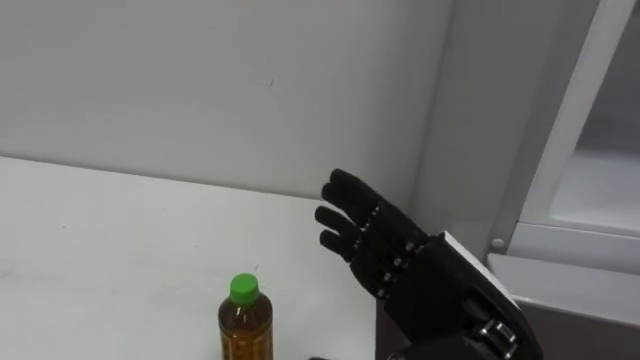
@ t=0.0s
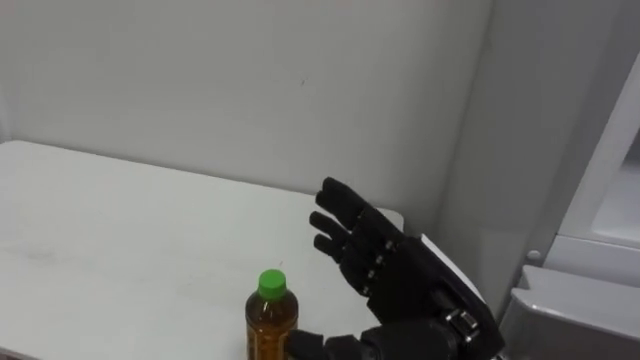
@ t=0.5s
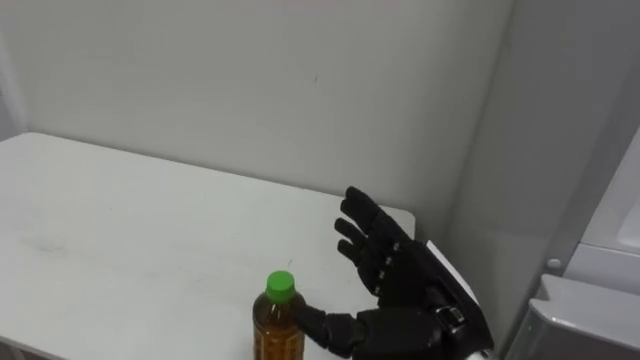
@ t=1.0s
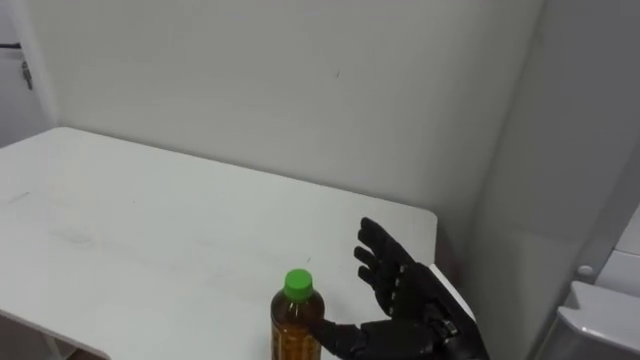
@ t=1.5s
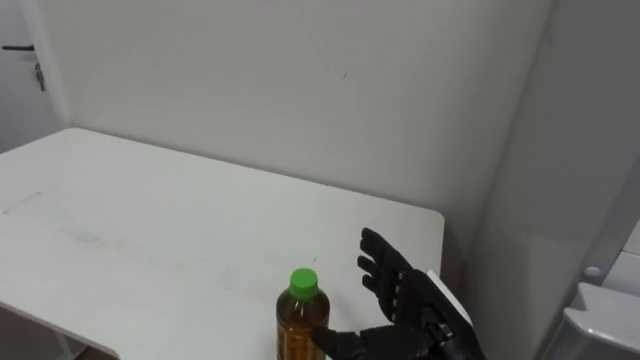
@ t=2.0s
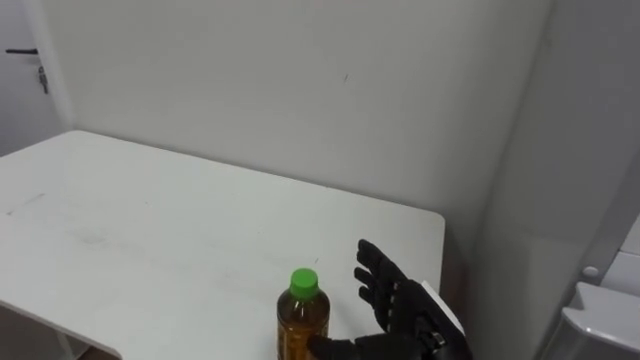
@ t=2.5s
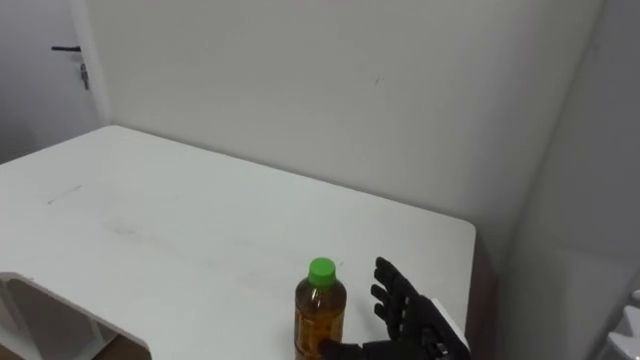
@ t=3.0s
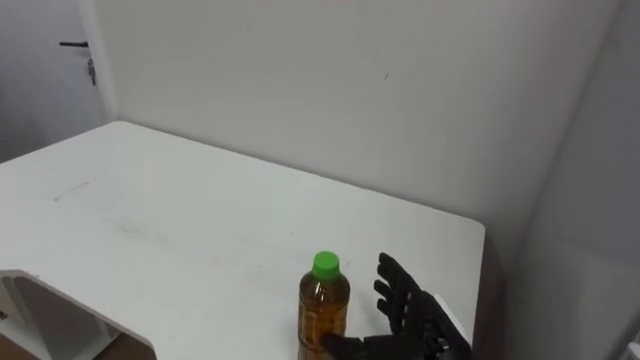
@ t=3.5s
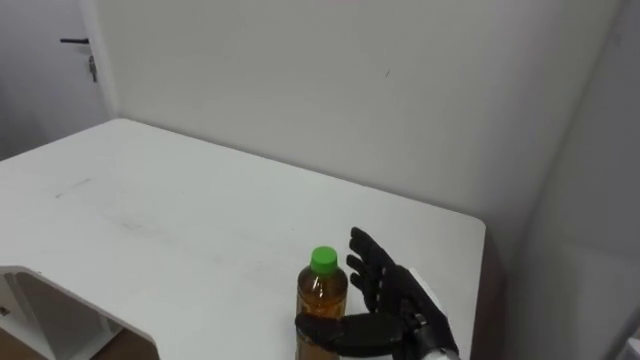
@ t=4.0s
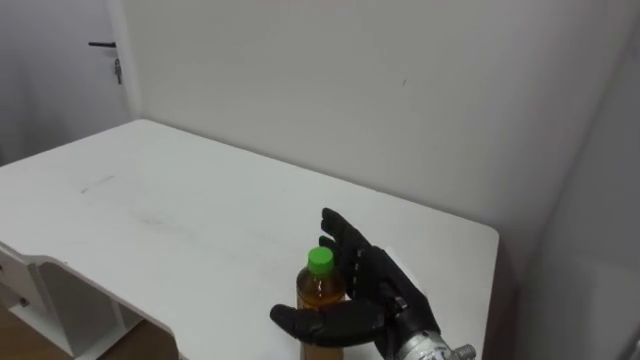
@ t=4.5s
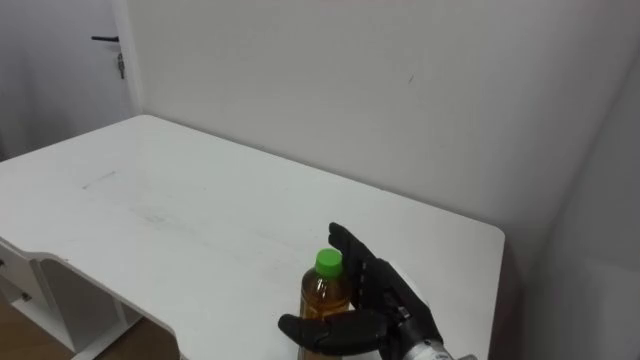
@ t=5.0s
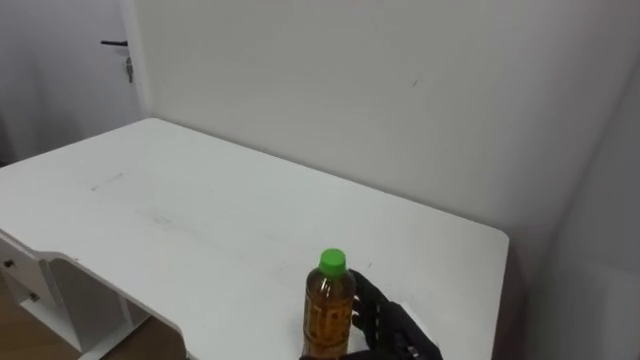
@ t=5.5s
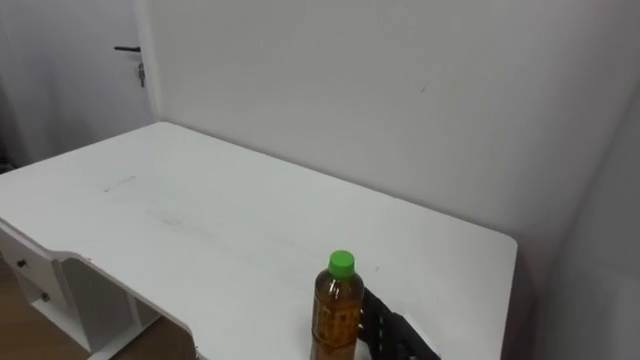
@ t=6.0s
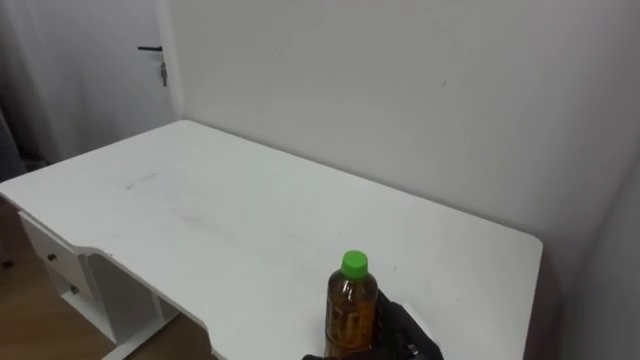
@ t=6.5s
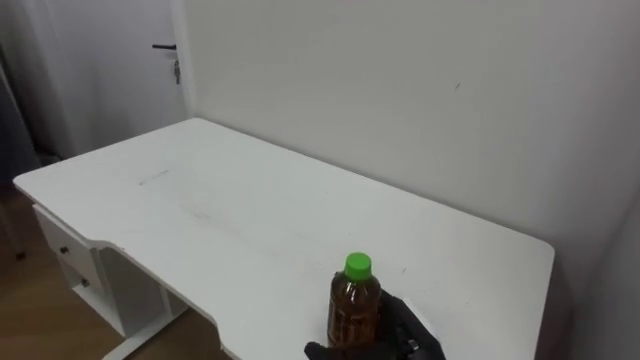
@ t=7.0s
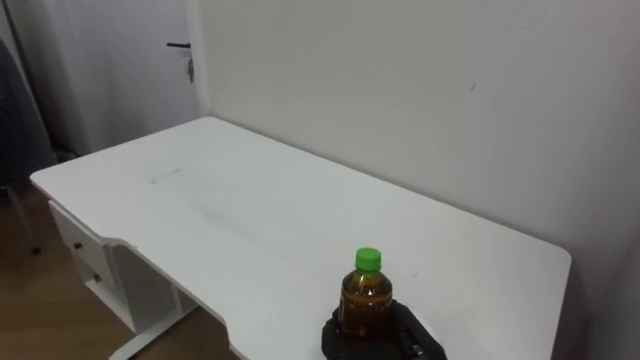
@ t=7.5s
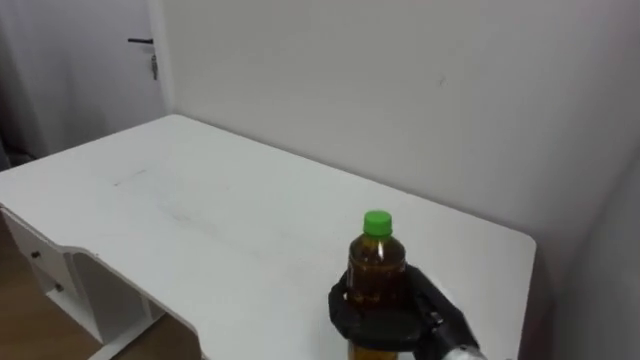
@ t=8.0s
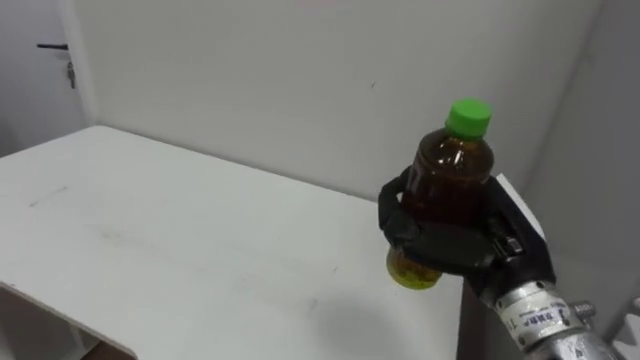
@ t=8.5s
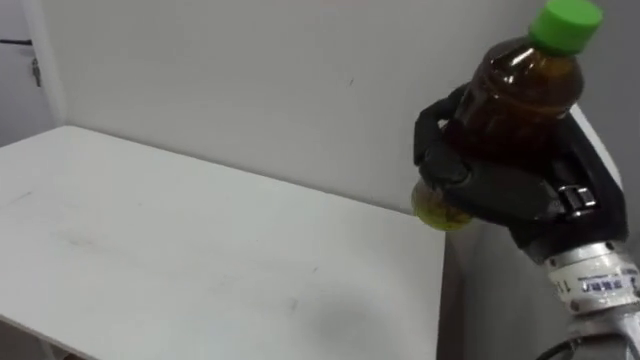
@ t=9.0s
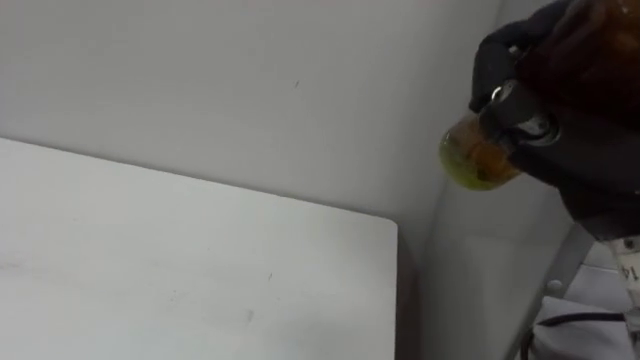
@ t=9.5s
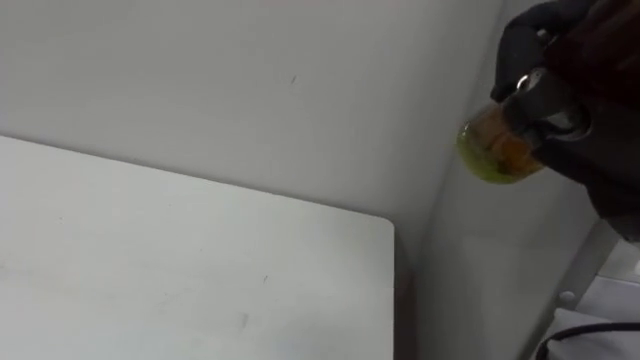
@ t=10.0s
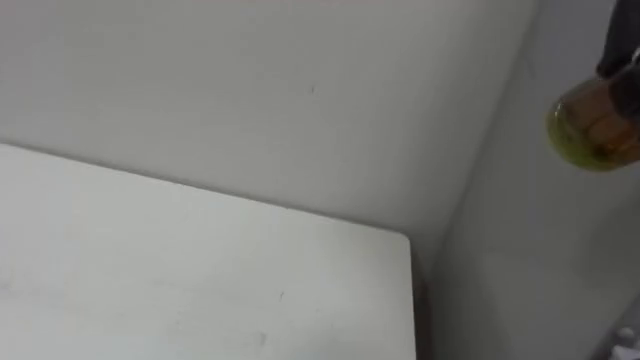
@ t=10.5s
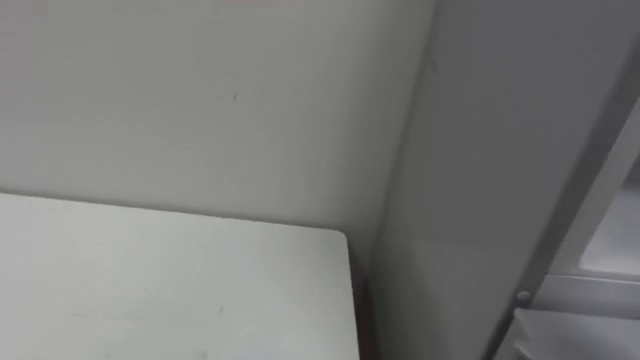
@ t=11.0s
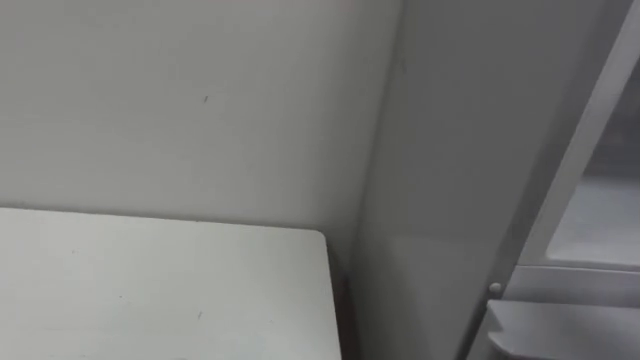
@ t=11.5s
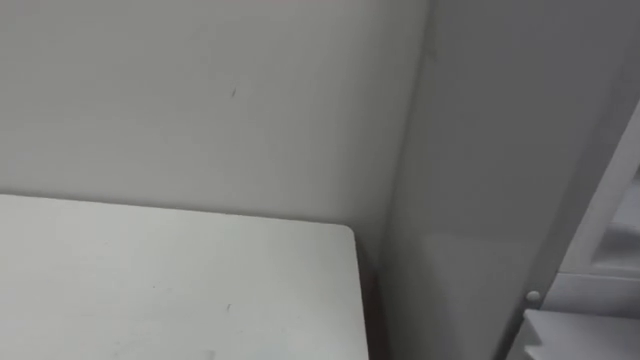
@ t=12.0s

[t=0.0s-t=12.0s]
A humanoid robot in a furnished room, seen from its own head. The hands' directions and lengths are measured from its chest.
Task of the whole recording: Open the upper refrigerator door, put the drink from the table into the refrigerator, and then close the refrigerator door.
t=0.0s to t=2.0s: The right hand shifts approximately 10 cm downward and forward.
t=4.0s to t=6.0s: The right hand heads downward, covering roughly 5 cm.
t=6.0s to t=8.0s: The right hand closes.
t=8.0s to t=10.0s: The right hand heads upward, covering some 25 cm.

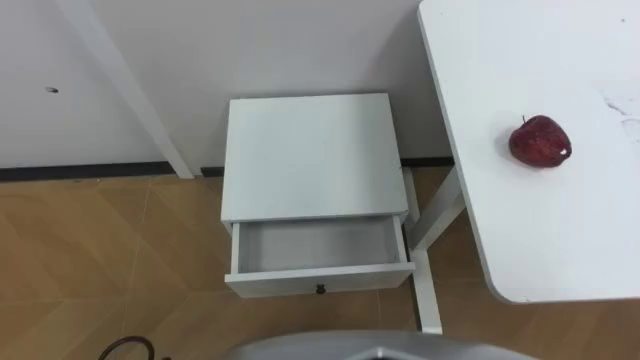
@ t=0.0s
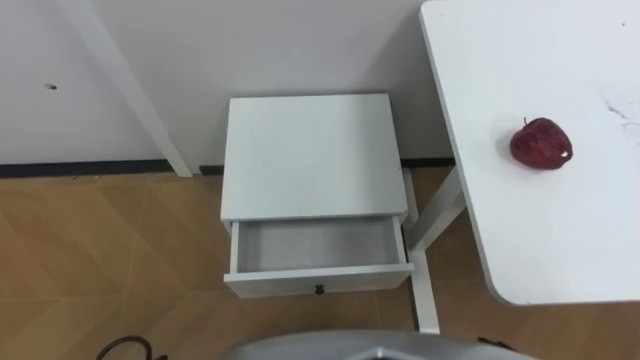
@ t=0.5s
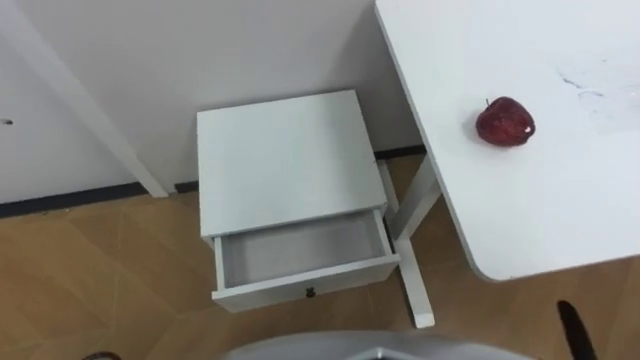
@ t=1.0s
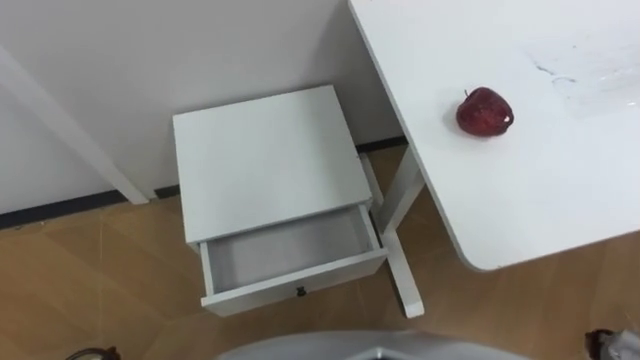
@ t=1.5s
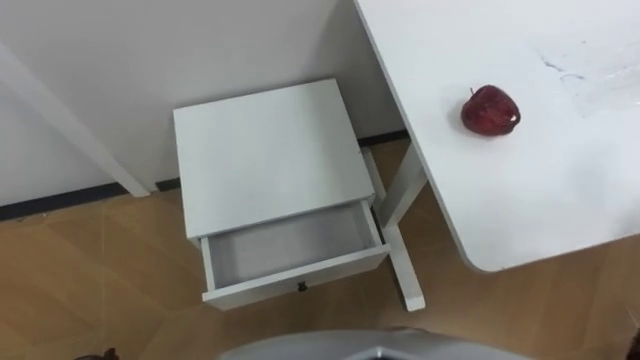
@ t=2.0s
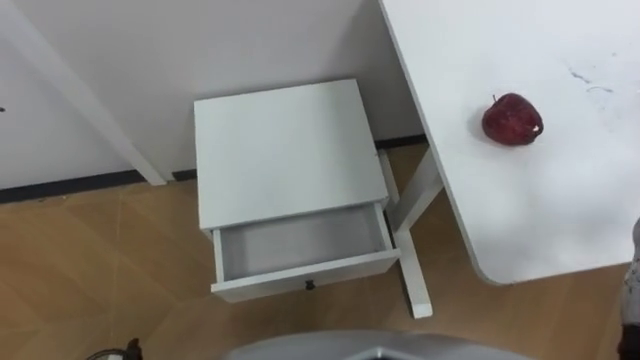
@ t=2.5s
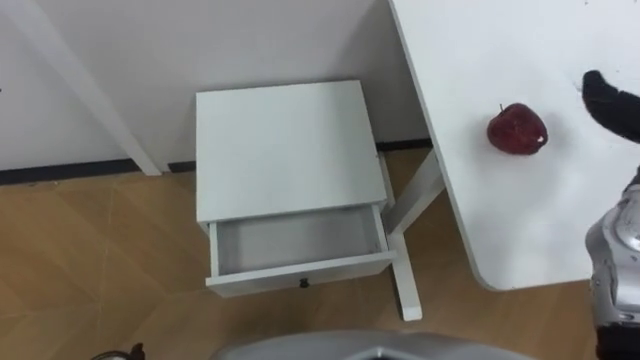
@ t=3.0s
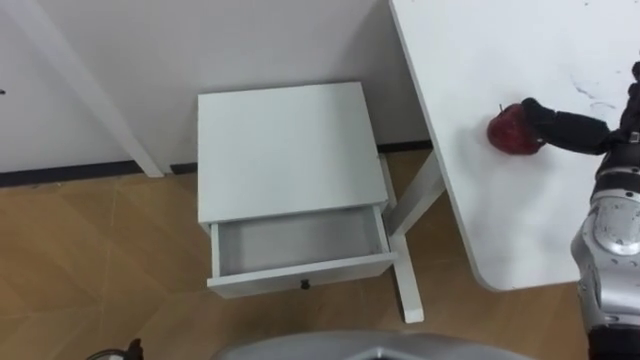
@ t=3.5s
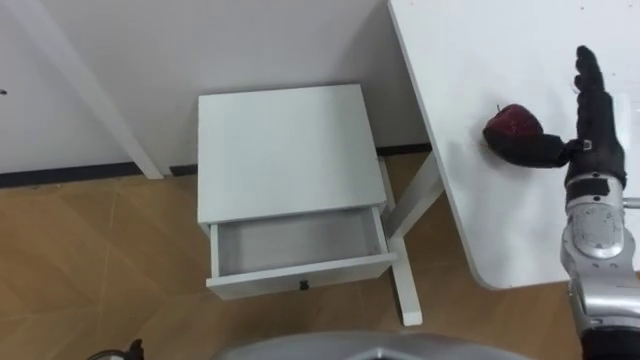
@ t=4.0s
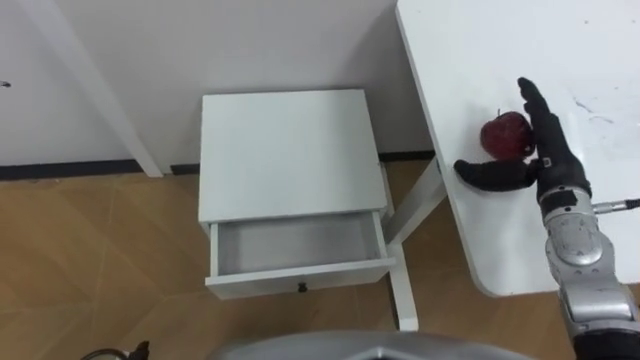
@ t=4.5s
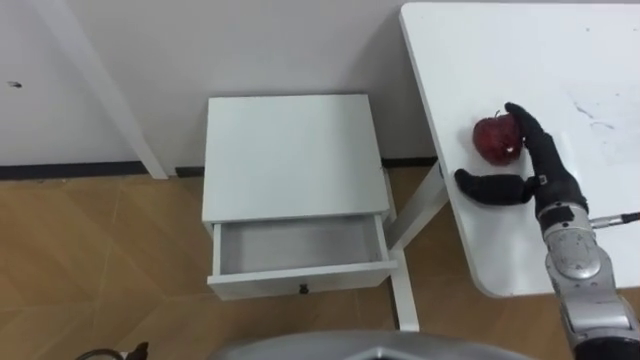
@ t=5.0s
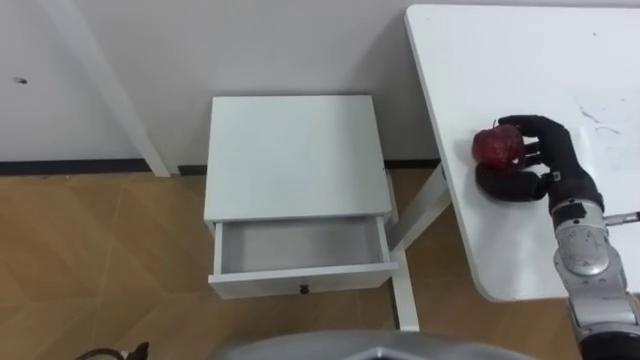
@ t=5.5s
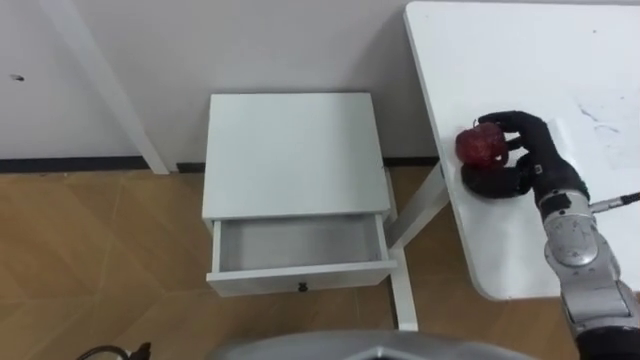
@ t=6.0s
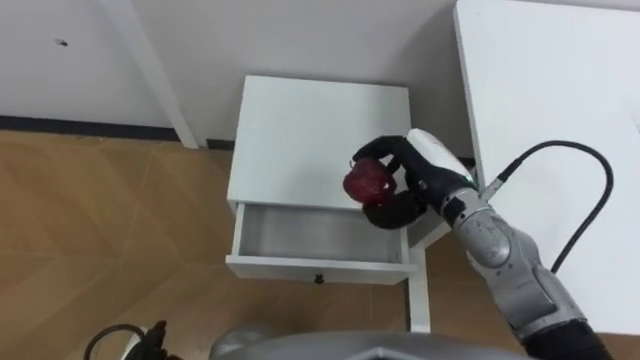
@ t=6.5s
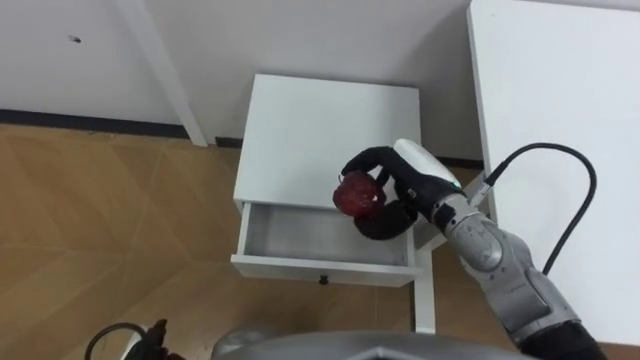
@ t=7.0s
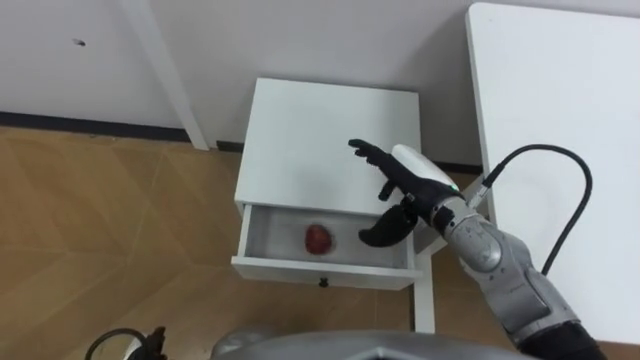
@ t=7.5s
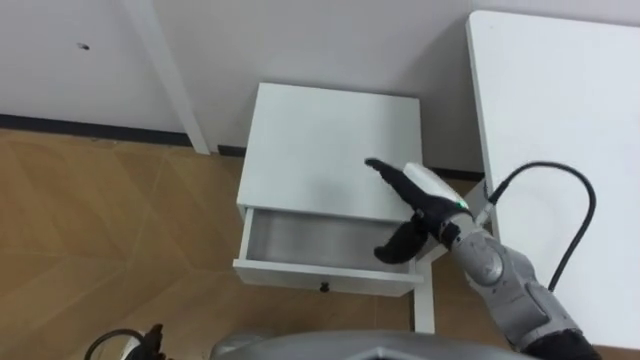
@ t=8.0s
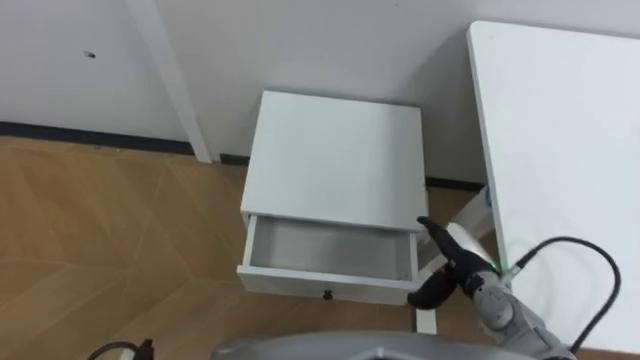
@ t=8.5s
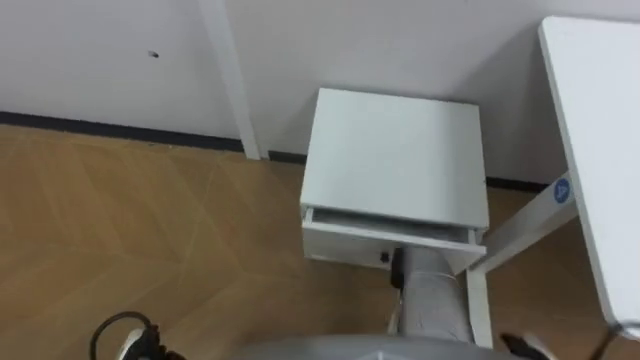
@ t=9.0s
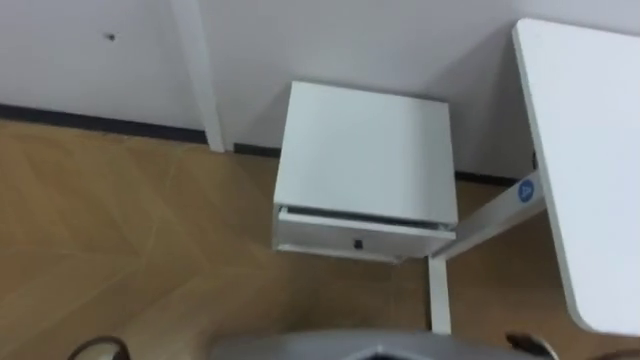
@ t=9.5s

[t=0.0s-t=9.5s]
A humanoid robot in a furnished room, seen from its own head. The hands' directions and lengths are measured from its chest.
Task of the whole recording: Pick up the apple from the table, put it in the drawer, and close the drawer with leg.
t=4.0s to t=5.5s: The right hand is displaced downward by roughly 5 cm, and closes up.
t=5.5s to t=7.5s: The right hand goes approximately 20 cm to the left, and opens up.
